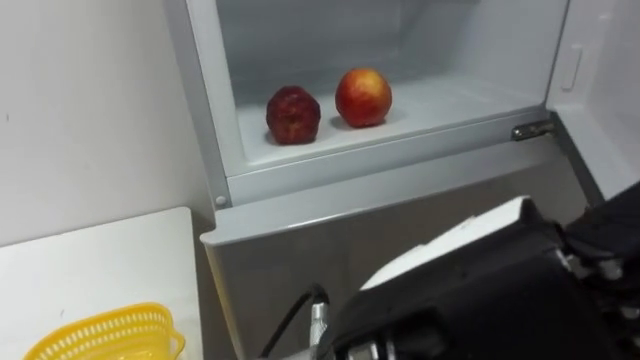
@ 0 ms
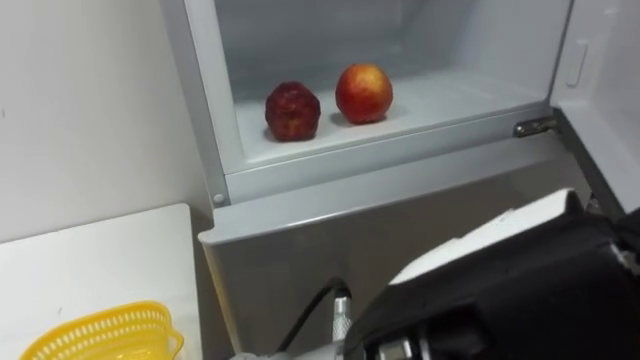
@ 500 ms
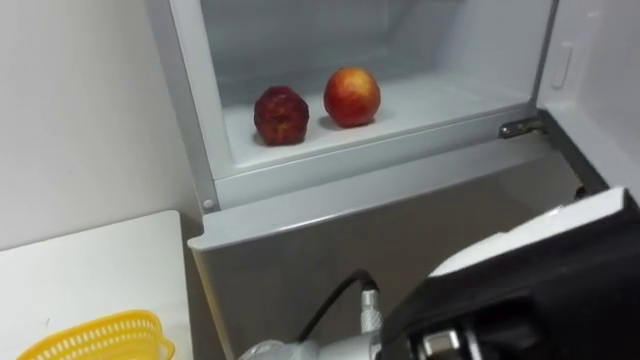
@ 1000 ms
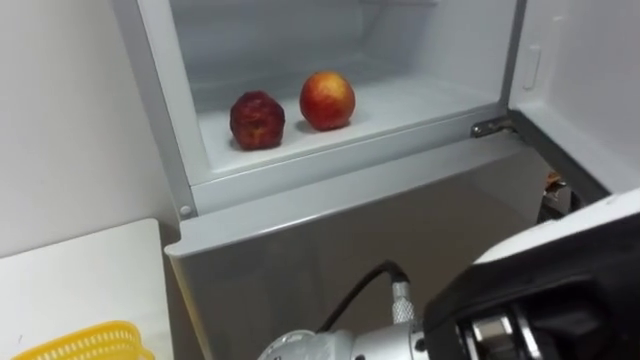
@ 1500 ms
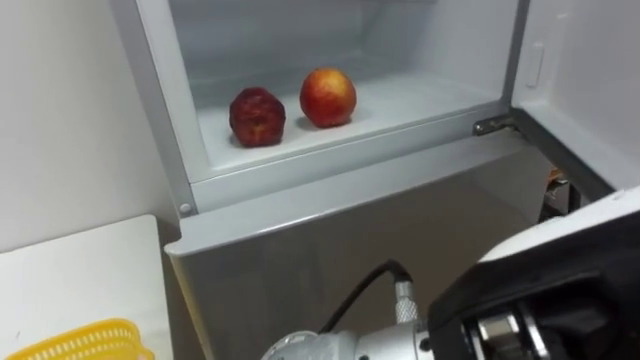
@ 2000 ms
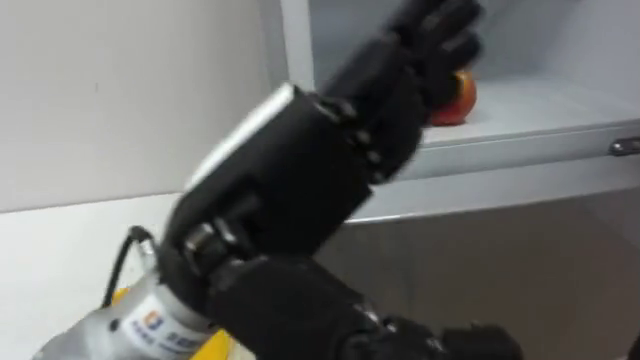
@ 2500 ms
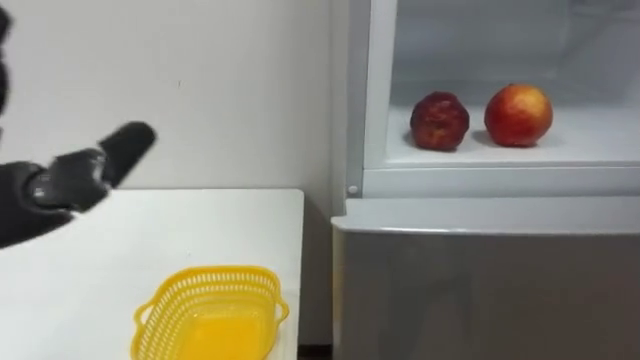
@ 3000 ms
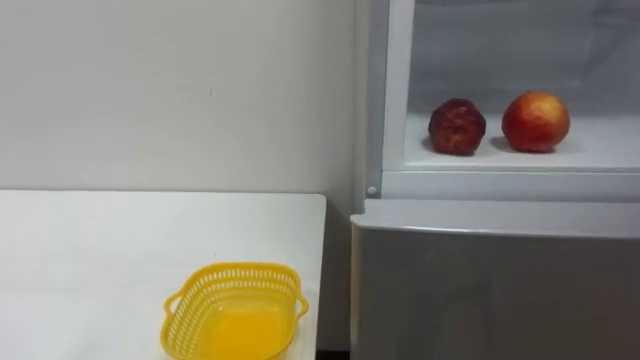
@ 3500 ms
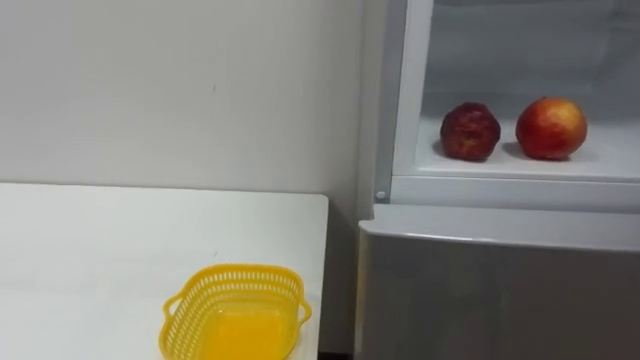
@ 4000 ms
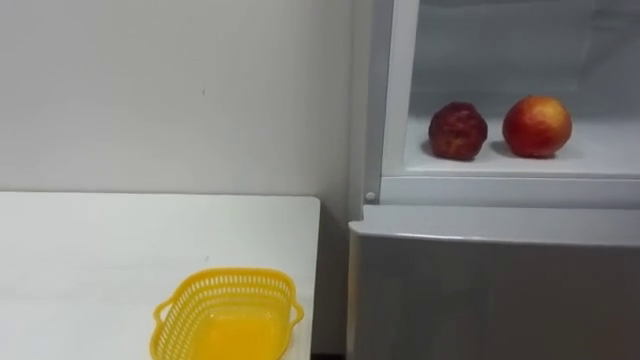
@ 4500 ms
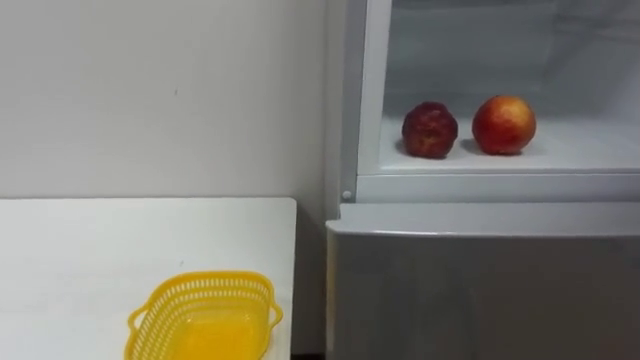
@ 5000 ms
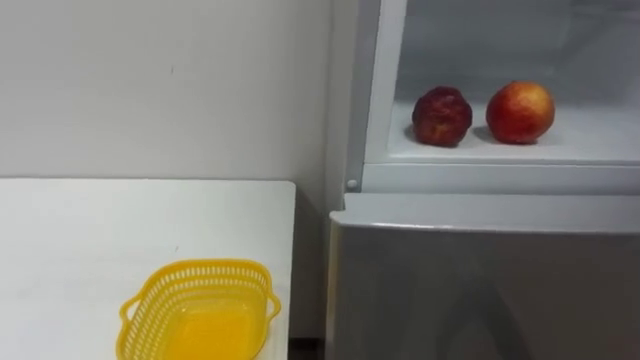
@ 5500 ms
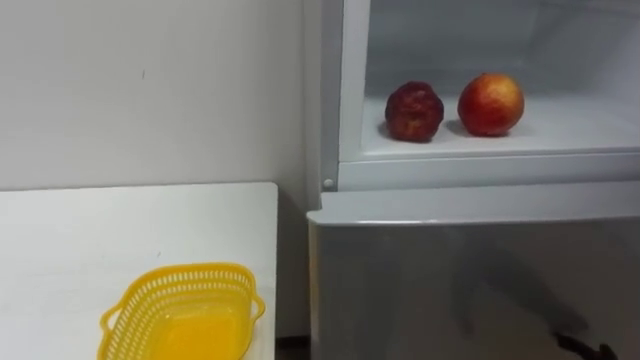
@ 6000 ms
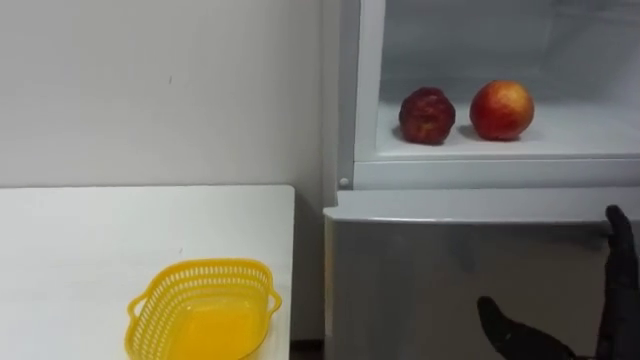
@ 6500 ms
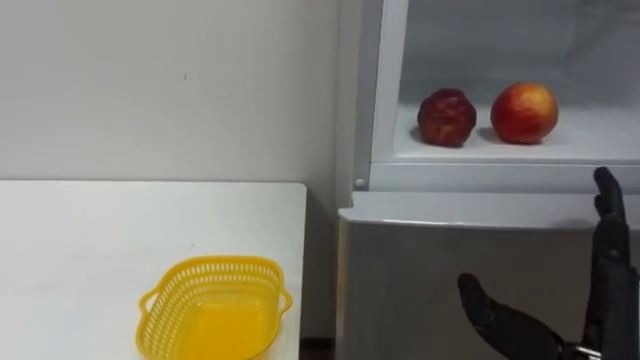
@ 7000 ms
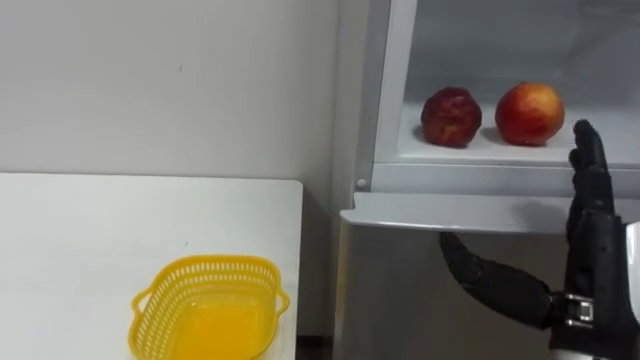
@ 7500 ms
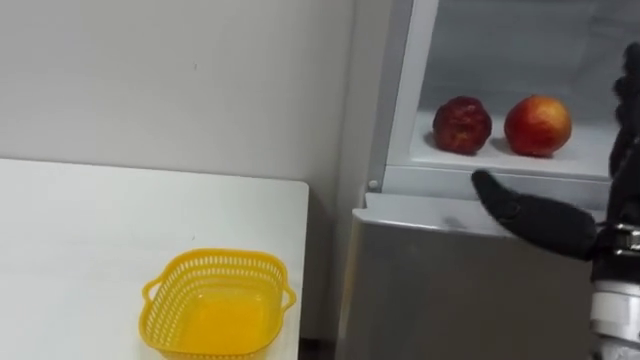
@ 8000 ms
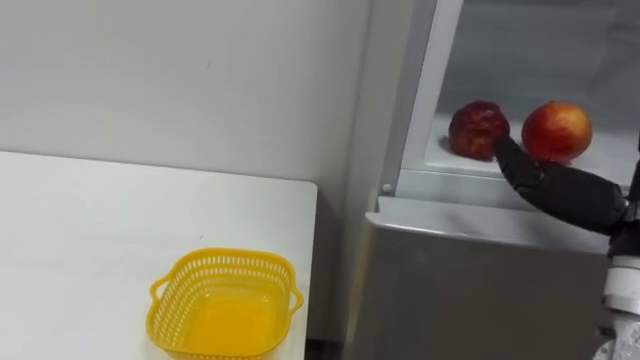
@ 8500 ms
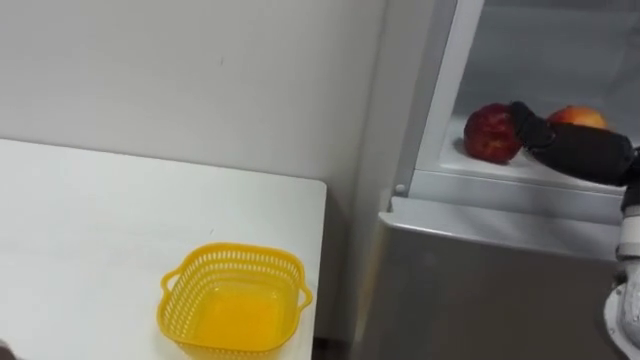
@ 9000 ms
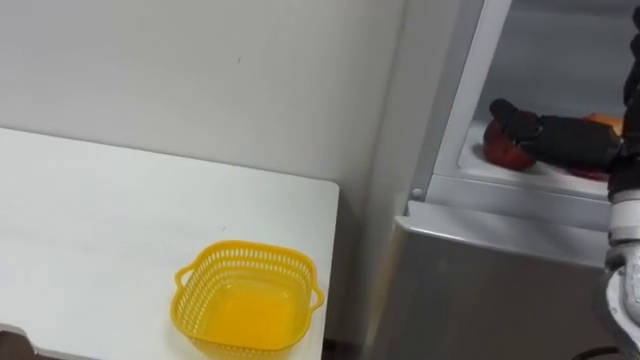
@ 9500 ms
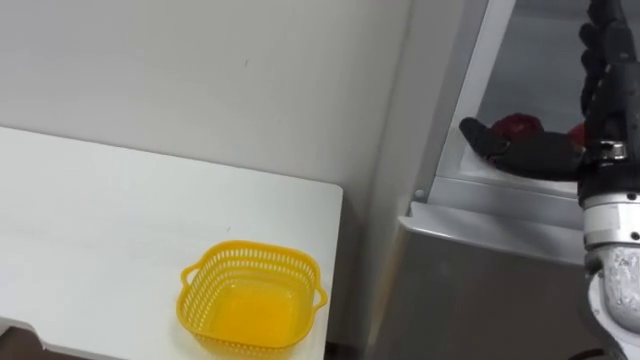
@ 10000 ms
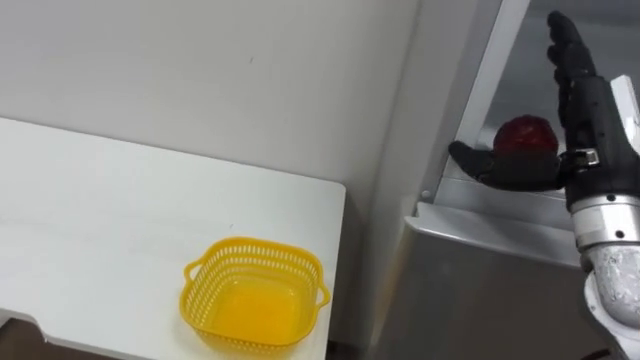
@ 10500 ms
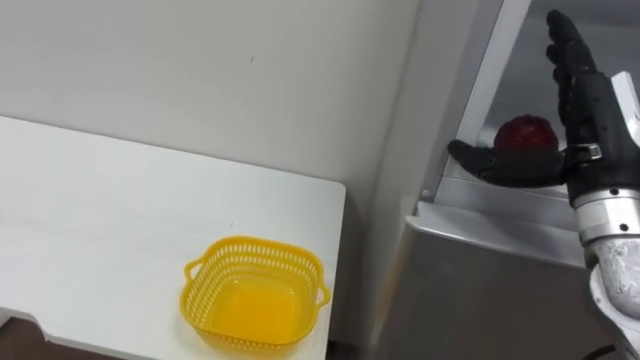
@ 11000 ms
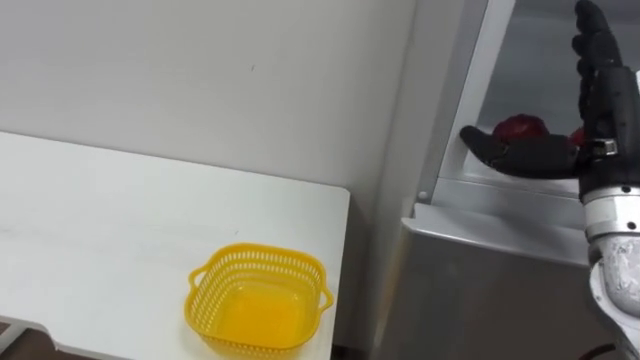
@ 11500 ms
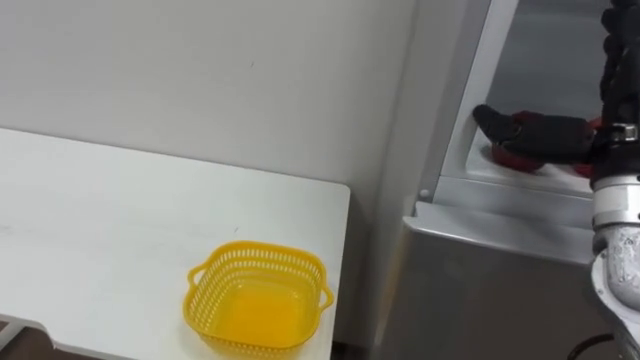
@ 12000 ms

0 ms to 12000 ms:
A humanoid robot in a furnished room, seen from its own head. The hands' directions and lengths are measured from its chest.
Task of the whole recording: Open the refrigerator door, take out the apple and the pomegranate, place them in the fruit basket on the left, and close the refrigerator door.
0 ms to 2000 ms: The left hand moves roughly 5 cm.

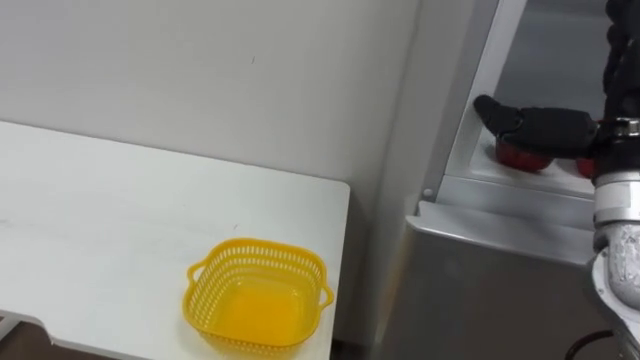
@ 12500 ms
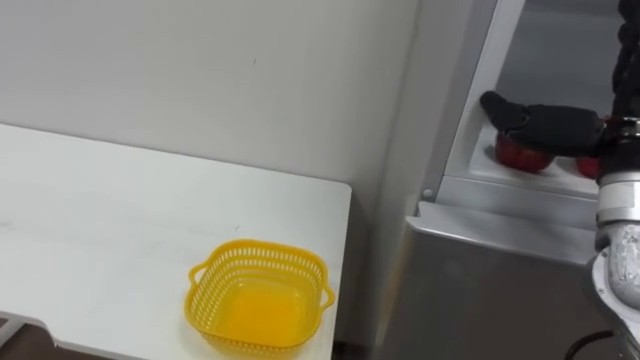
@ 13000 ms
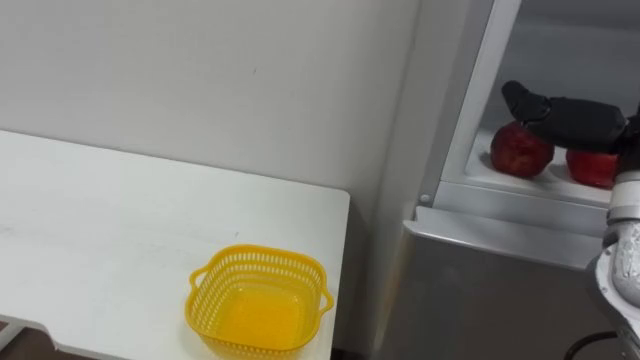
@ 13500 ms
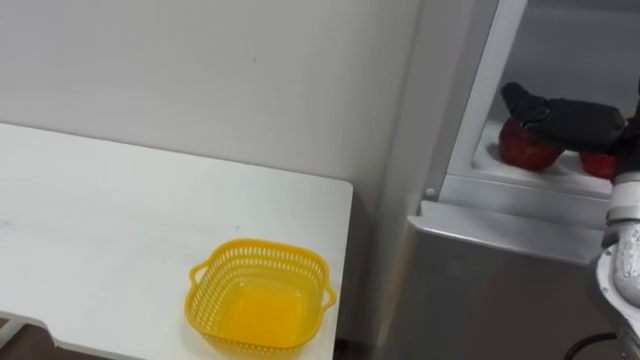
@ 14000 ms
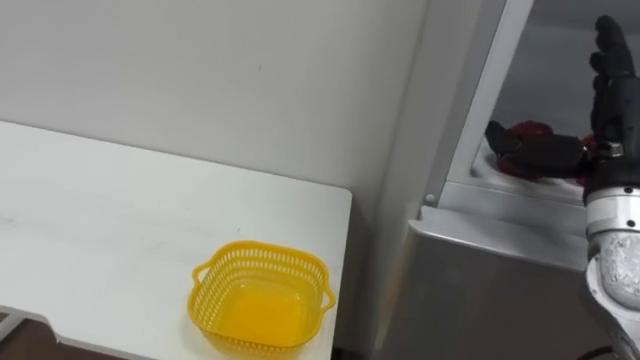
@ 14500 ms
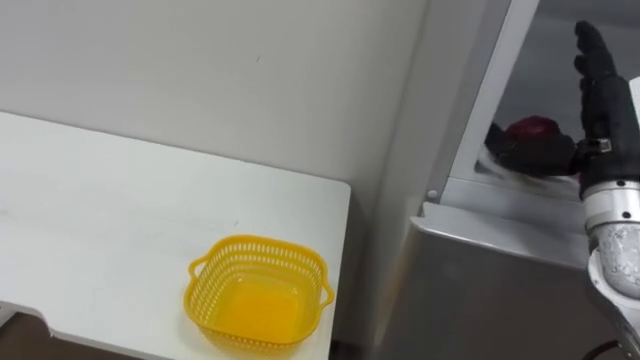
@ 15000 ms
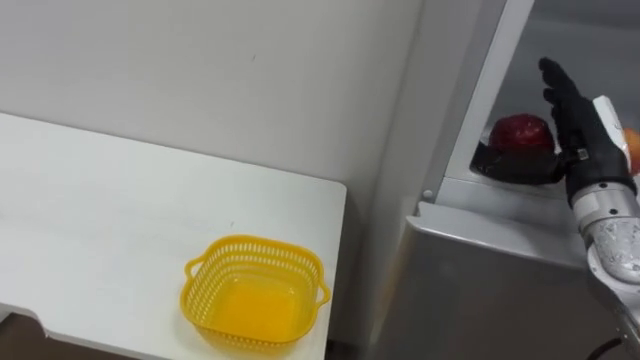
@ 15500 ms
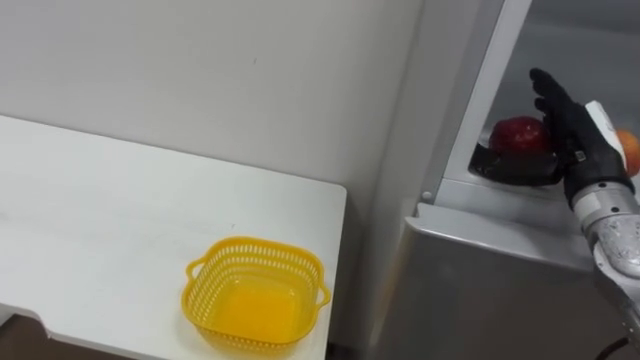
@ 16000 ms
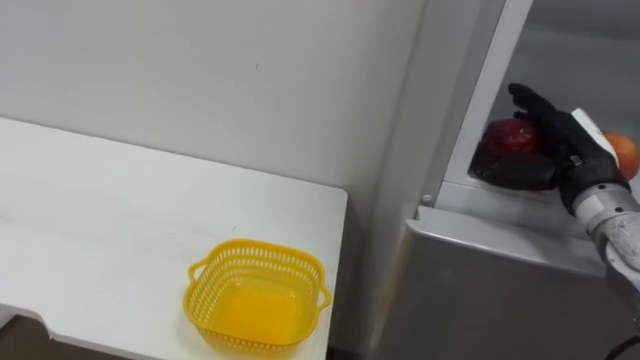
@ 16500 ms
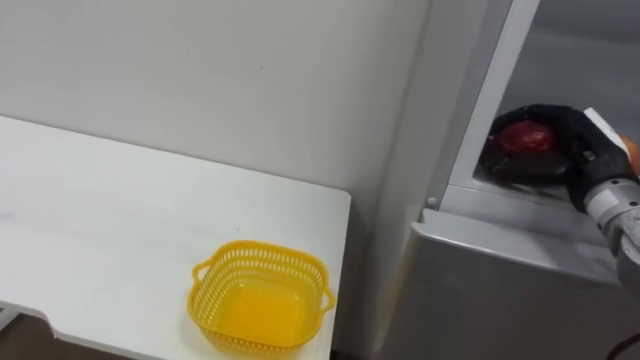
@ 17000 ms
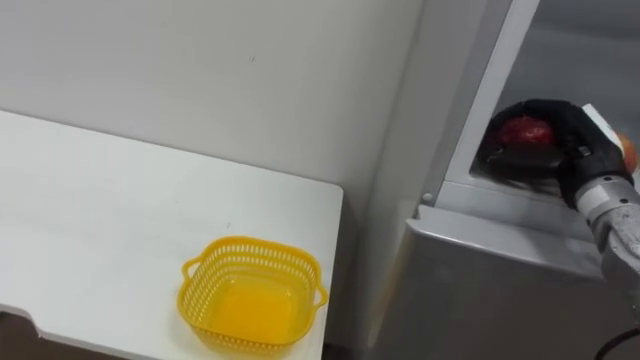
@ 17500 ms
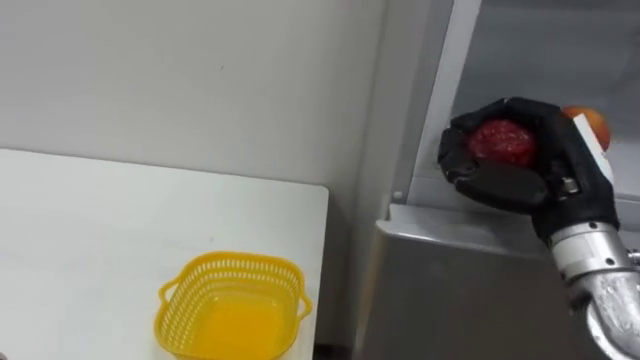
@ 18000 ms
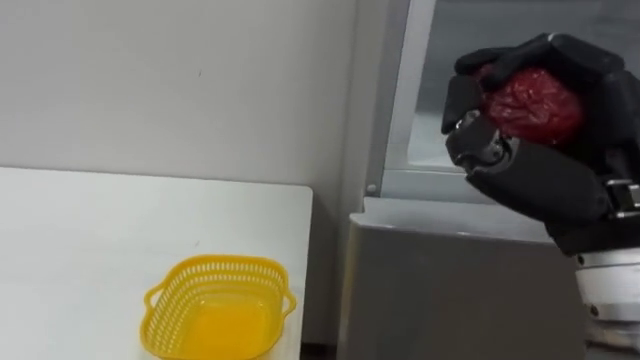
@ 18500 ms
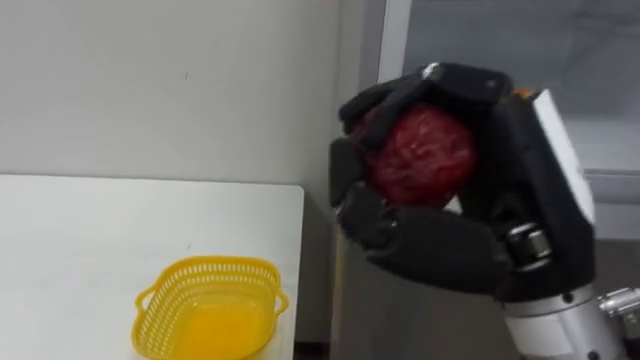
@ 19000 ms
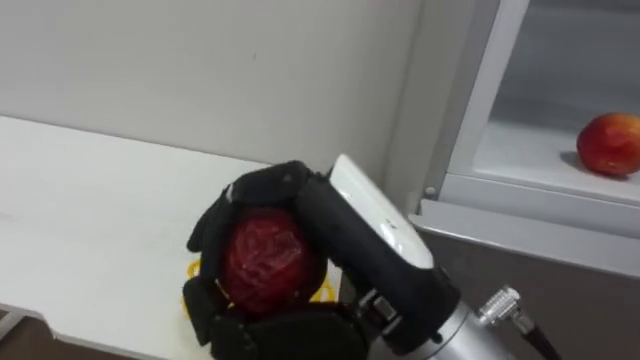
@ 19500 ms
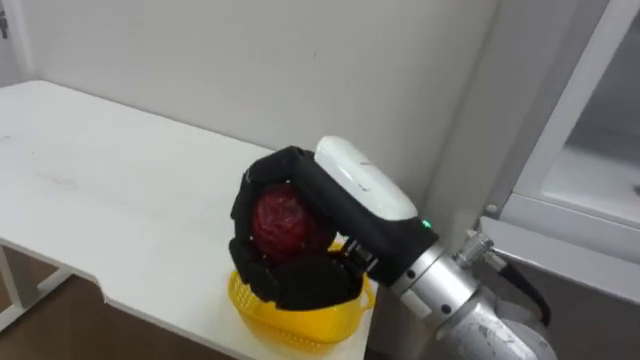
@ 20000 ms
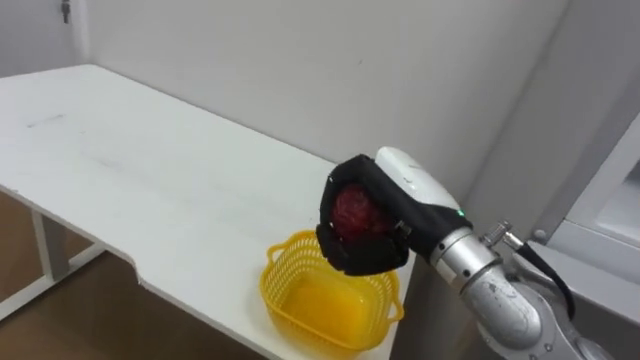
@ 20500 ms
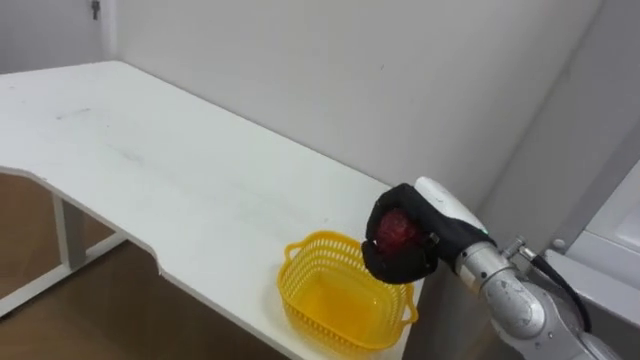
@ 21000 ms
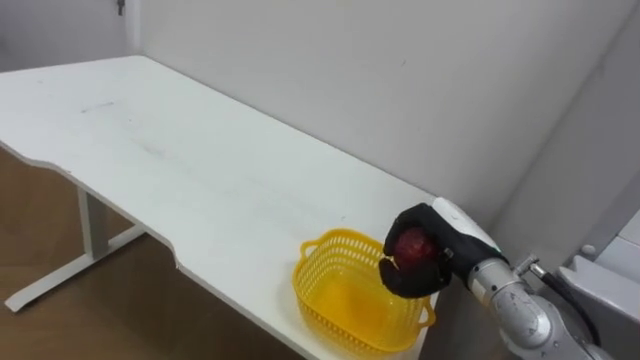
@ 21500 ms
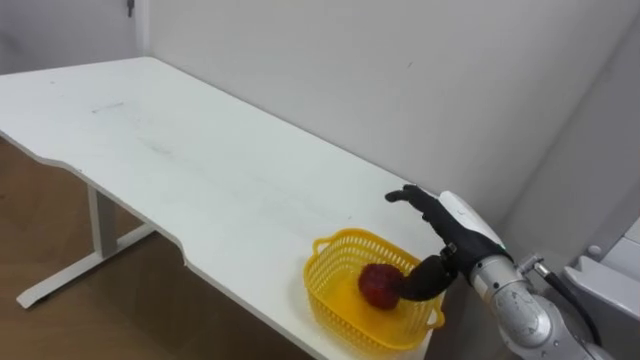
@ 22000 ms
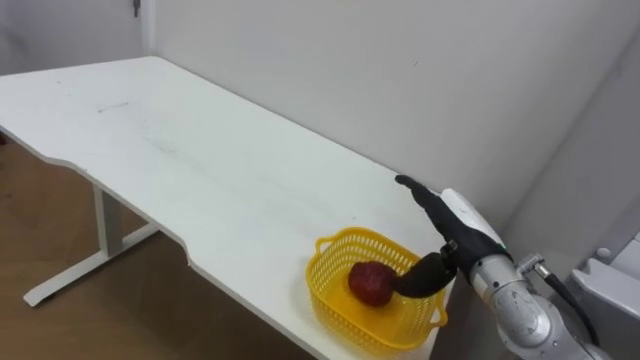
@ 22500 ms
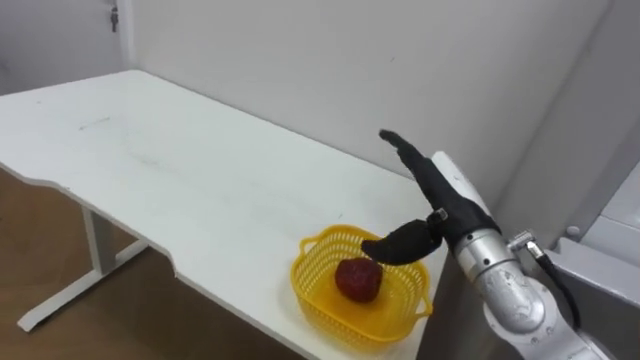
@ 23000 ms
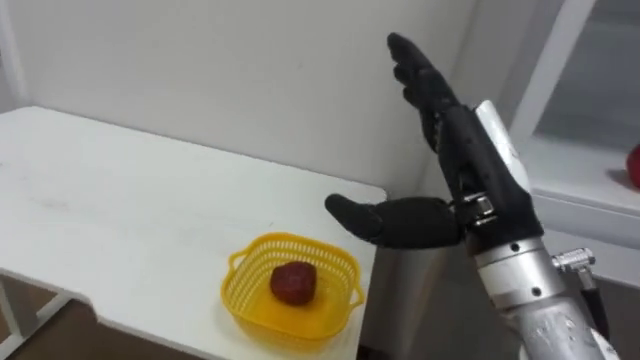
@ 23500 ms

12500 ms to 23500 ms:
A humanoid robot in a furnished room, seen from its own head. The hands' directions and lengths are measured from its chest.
Task of the whole recording: Open the refrigerator door, take out the apple and the pomegranate, place them in the fruit basket on the left, and close the refrigerator door.
14500 ms to 16000 ms: The right hand changes place by approximately 5 cm.
16000 ms to 18000 ms: The right hand moves backward, about 5 cm, and closes its fingers.
18000 ms to 20000 ms: The right hand is displaced to the left by about 20 cm.
20000 ms to 21500 ms: The right hand goes roughly 25 cm downward, forward and to the right.
21500 ms to 23500 ms: The right hand moves upward and backward, about 15 cm, and opens.
